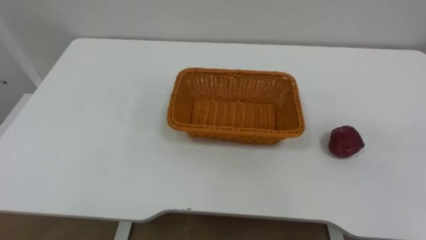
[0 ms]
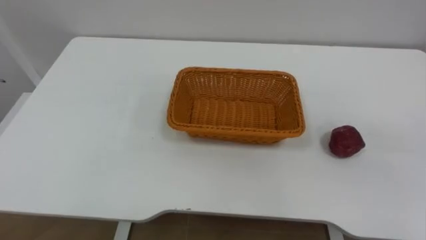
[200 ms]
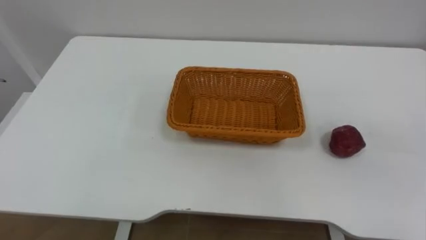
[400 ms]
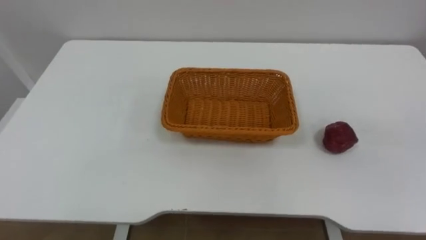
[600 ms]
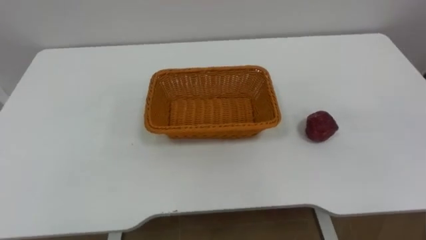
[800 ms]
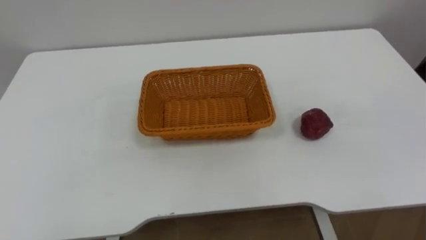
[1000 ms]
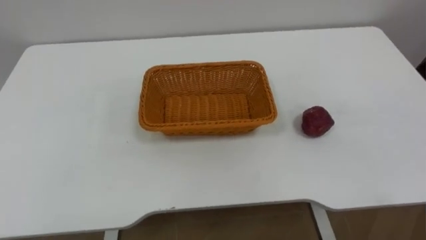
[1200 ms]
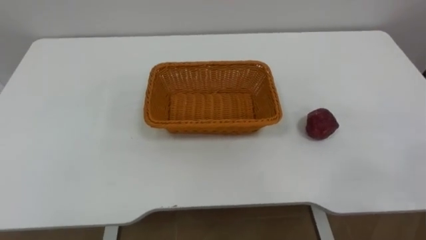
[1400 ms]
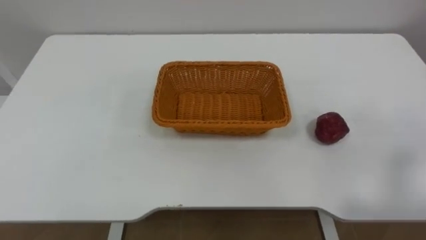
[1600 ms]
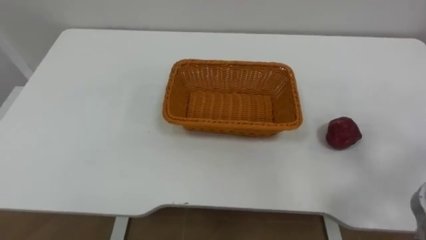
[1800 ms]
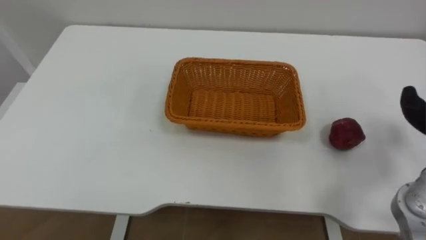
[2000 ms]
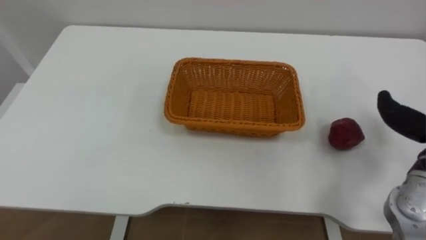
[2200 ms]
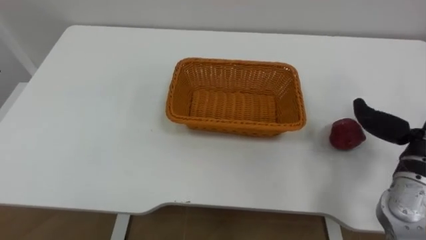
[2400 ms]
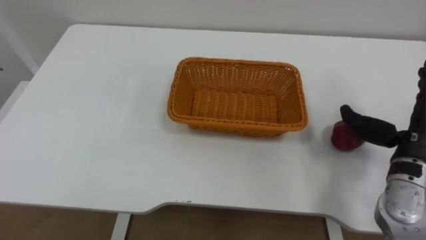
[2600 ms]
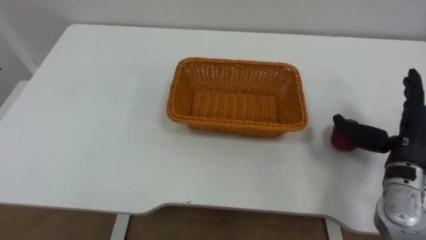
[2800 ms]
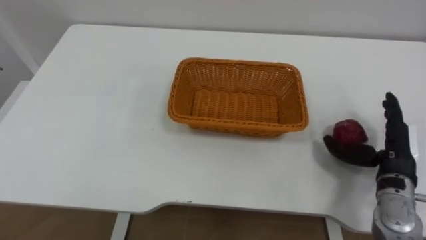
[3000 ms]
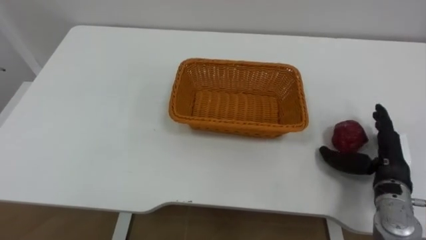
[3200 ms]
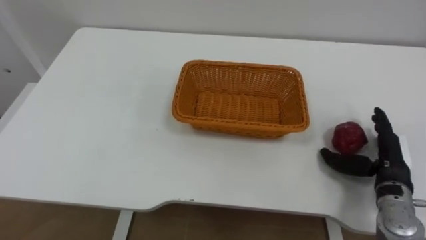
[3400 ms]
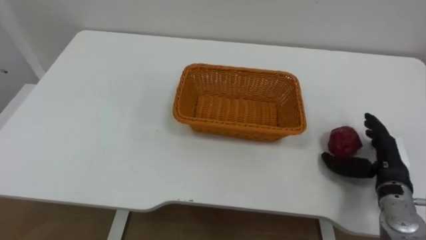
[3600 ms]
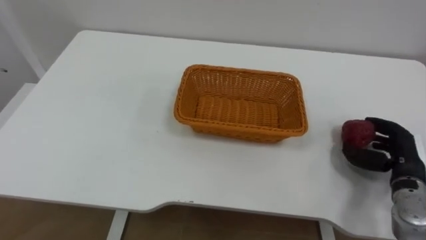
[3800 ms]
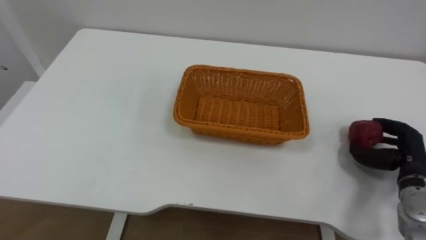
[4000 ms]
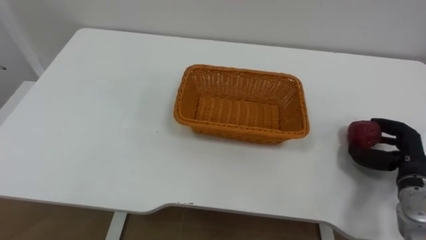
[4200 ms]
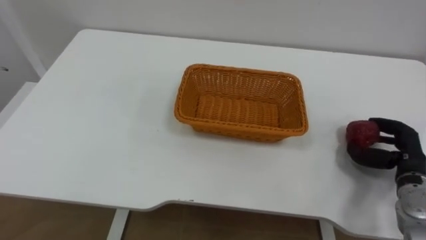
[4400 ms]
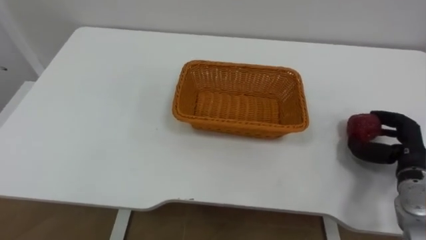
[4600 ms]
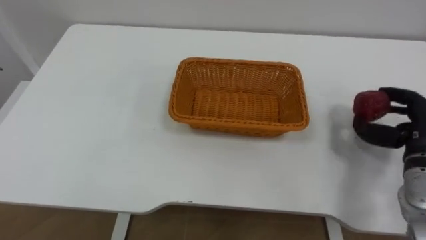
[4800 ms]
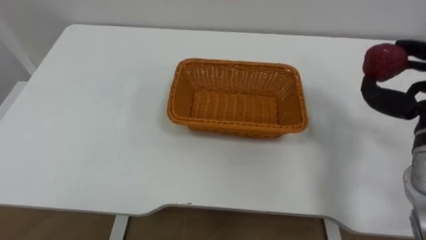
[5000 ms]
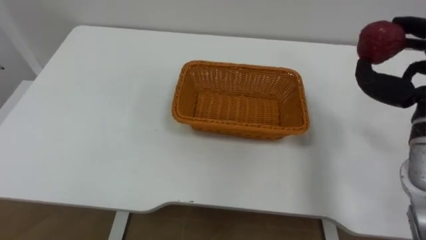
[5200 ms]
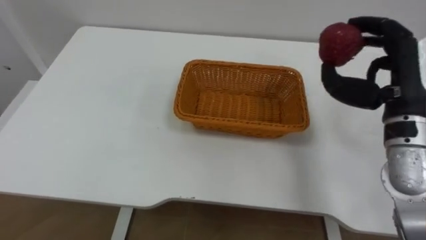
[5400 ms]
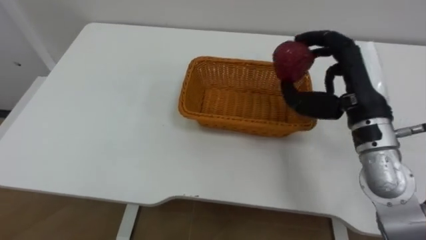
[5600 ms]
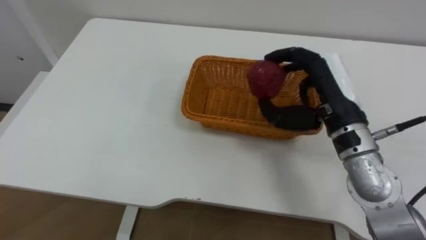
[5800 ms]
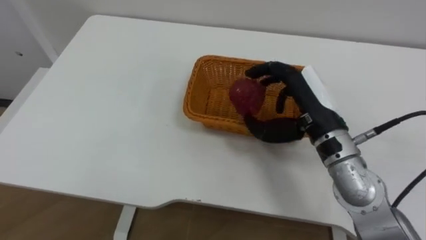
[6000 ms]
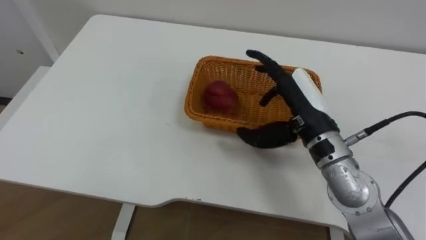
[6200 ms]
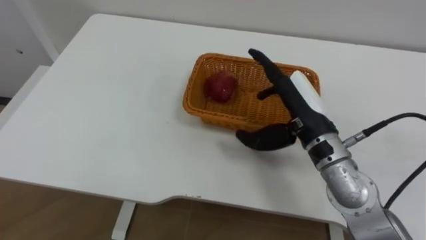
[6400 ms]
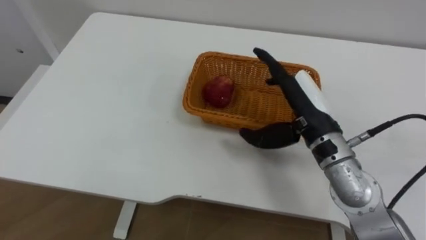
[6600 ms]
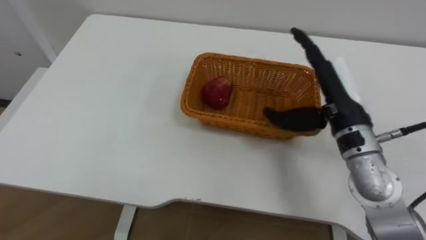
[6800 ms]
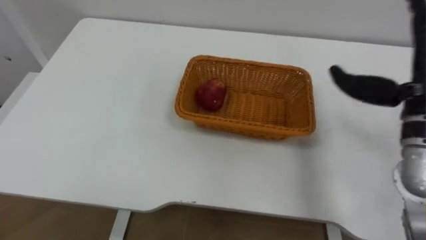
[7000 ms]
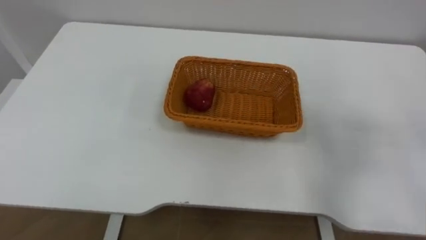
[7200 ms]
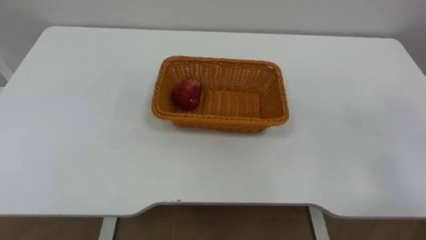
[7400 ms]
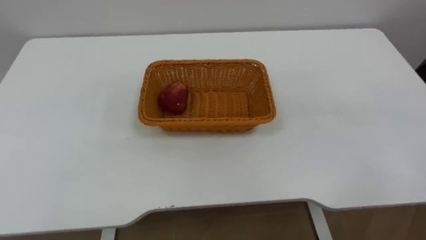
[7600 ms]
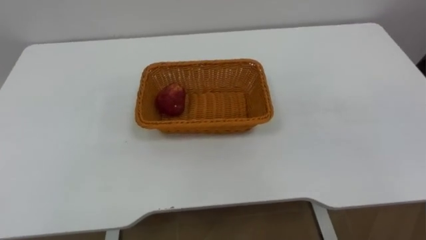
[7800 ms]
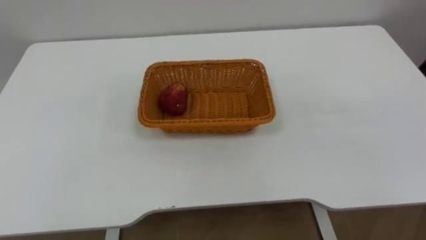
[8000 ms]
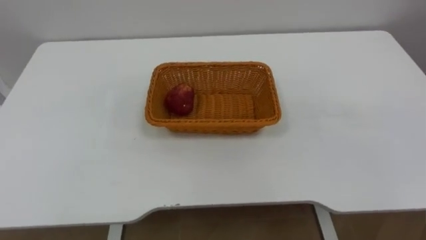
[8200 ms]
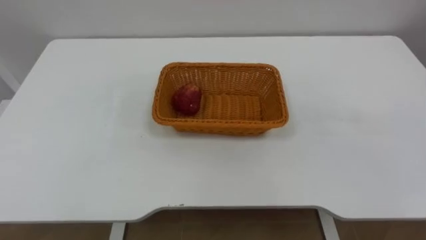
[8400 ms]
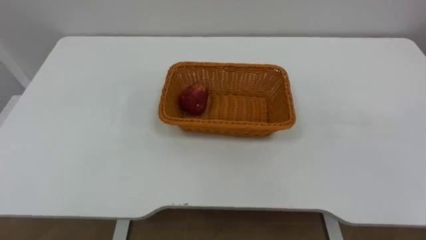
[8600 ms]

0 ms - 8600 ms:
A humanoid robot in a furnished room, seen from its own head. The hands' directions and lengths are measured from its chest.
Task of the whole recording: Pick the apple and place it in the box.
2800 ms - 4400 ms: The right hand moves downward, roughly 10 cm, and closes up.

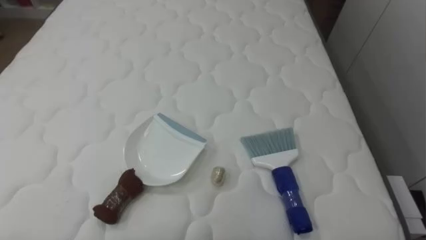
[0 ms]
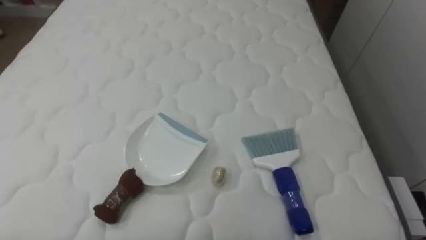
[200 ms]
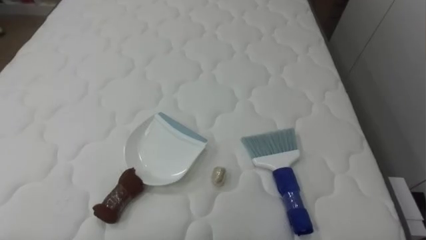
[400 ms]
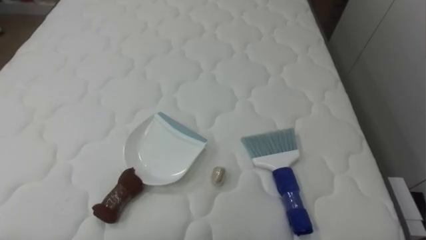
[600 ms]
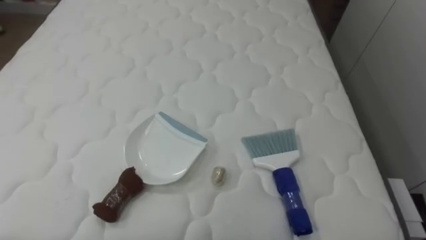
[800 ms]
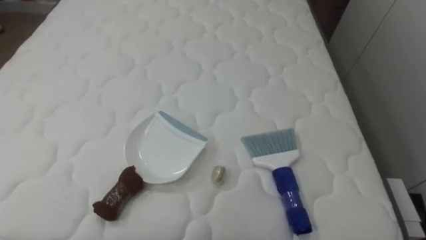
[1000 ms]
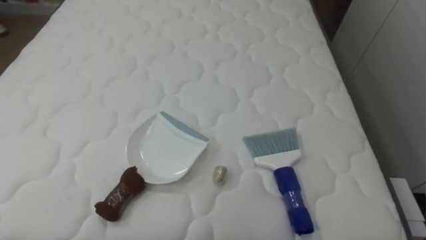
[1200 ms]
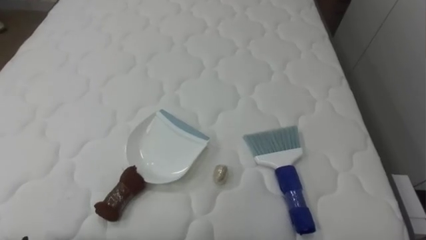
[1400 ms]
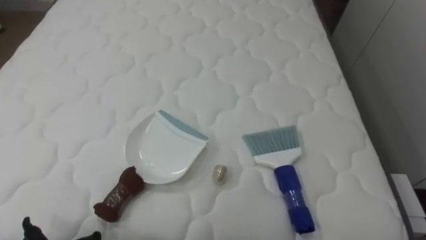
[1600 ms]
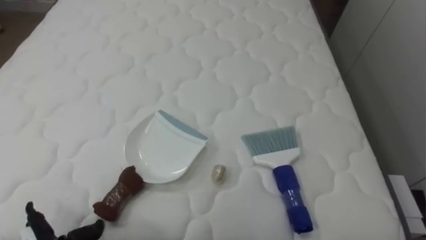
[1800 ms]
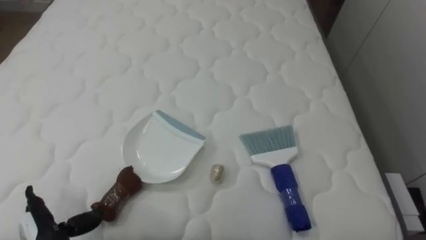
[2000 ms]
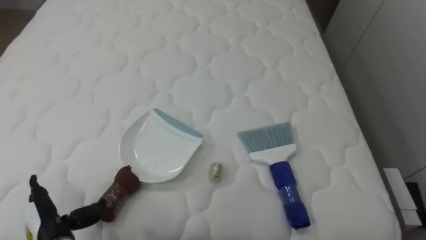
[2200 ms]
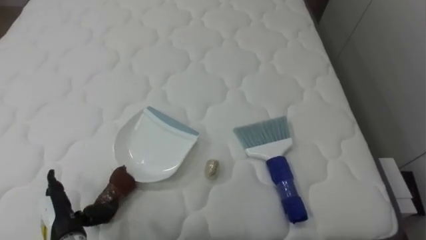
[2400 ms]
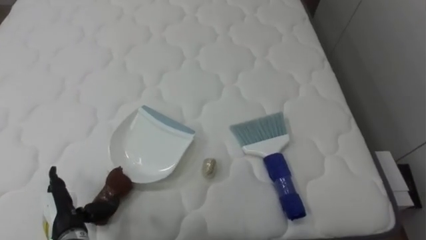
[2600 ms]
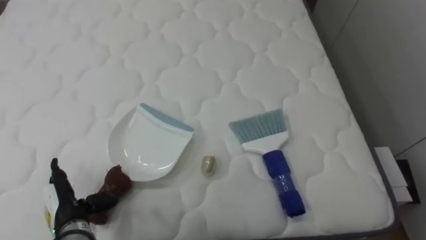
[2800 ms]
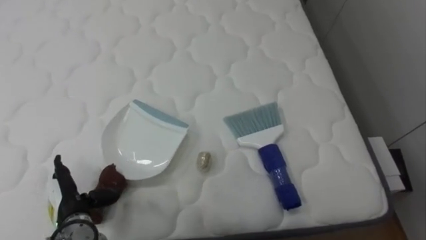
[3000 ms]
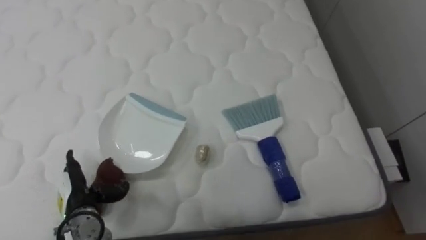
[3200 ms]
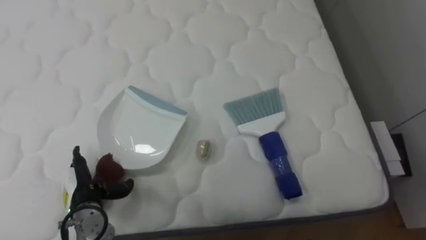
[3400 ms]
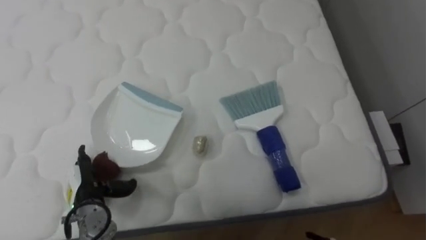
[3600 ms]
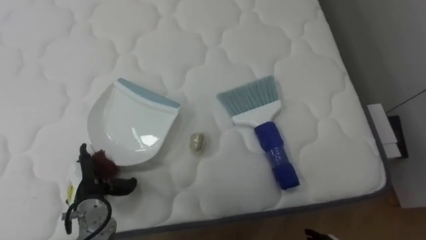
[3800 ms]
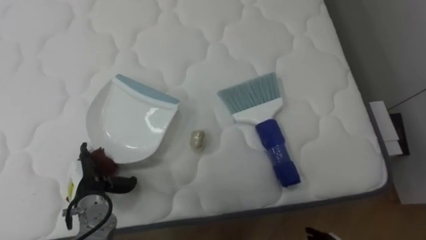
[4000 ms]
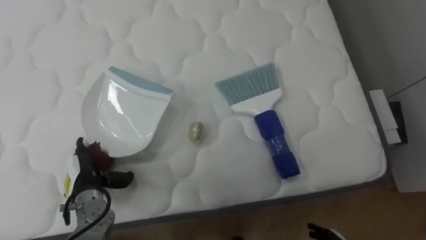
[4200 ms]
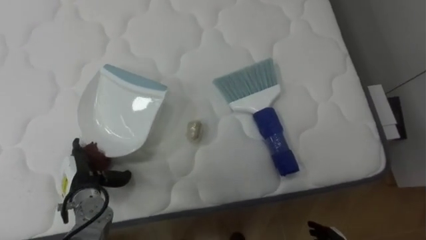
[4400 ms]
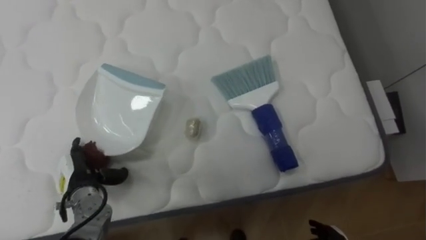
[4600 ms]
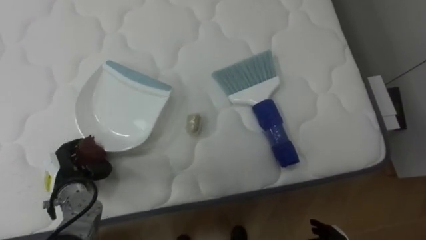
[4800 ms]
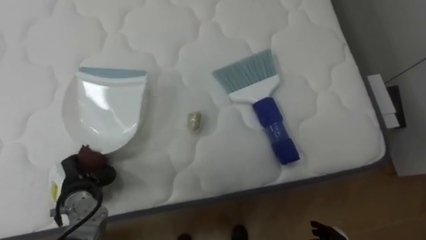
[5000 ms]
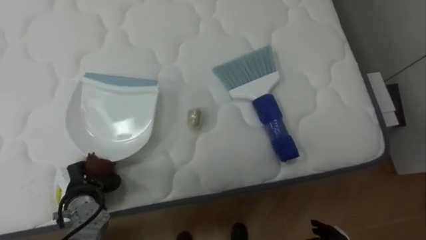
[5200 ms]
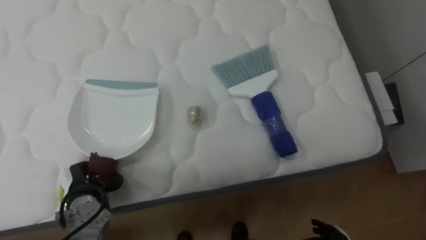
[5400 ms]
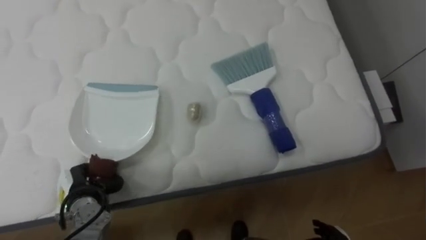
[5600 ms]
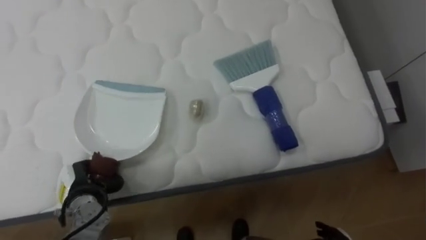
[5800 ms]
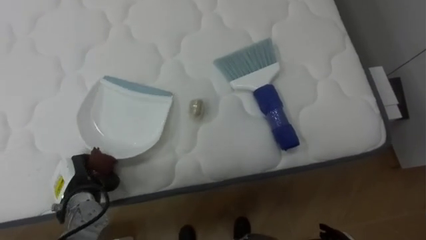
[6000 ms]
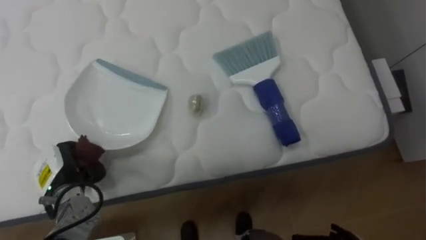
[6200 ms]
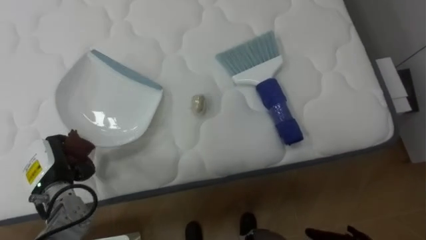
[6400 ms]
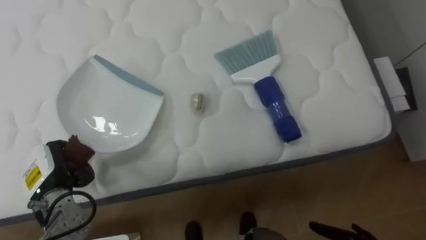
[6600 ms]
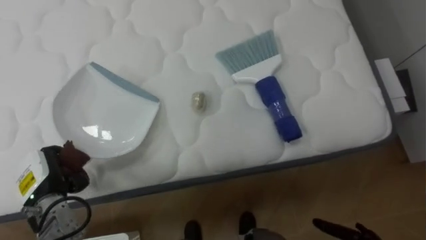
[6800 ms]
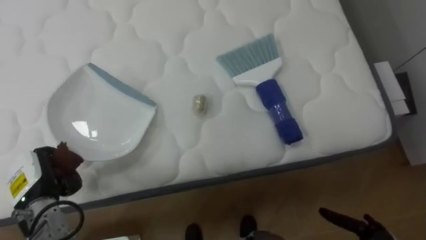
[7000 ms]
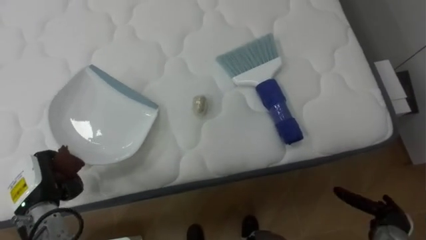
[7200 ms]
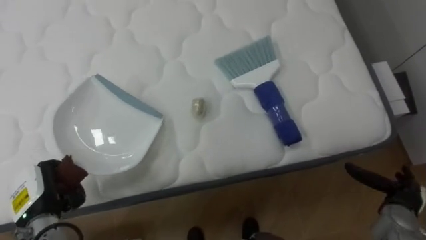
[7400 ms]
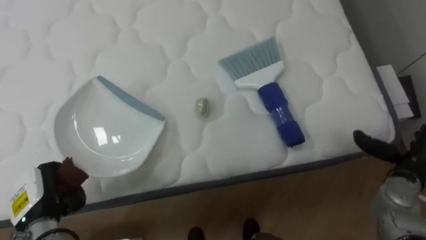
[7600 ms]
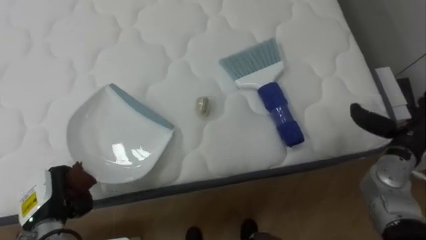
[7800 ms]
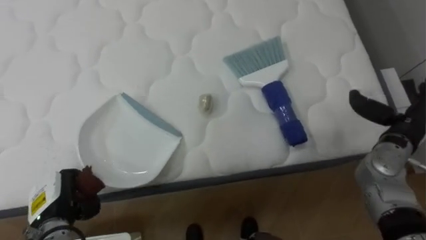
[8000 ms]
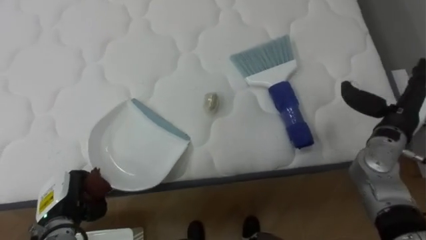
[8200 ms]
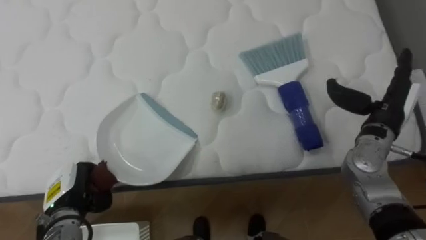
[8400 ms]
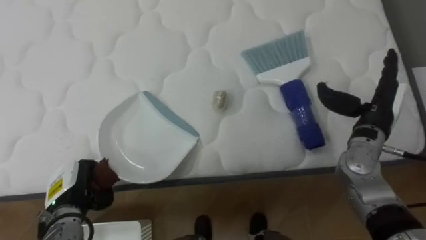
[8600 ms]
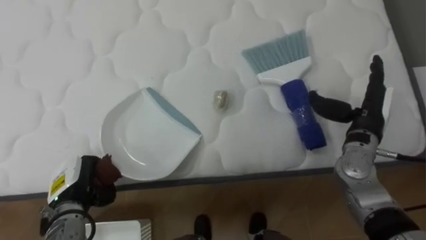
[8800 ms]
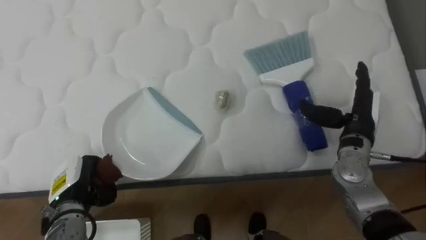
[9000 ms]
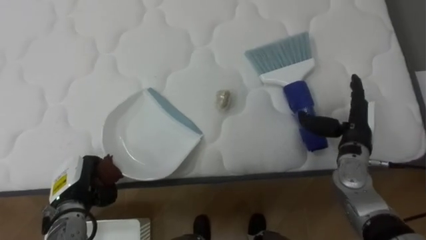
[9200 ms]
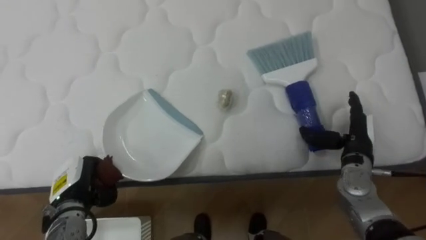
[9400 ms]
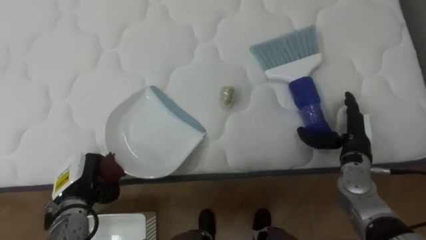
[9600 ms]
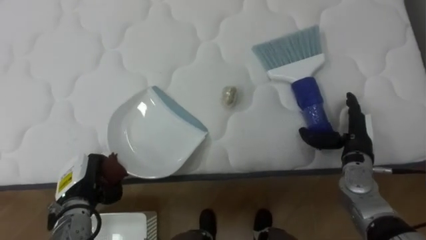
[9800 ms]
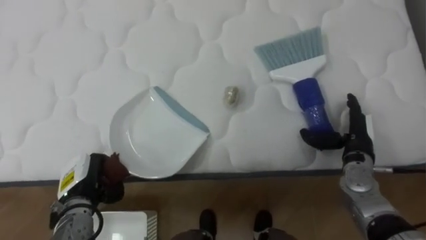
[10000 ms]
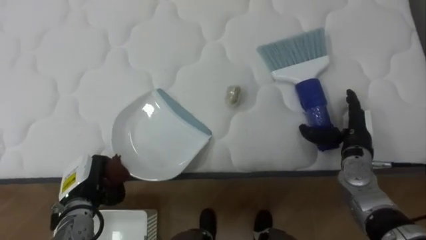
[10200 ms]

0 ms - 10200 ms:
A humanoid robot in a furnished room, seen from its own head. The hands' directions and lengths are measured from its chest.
Task of the whole recording: Pick up the brush on your right and the dustpan on your left. Use the brush to sweep the crumpled paper on the bed into the dustpan, then turn left and empty it into the basket.
3000 ms - 4400 ms: The left hand changes place by approximately 5 cm.
4400 ms - 5800 ms: The left hand closes.
5800 ms - 7200 ms: The left hand heads to the left and upward, covering approximately 10 cm.
7200 ms - 8800 ms: The right hand travels upward and forward by approximately 25 cm. Meanwhile the left hand goes some 5 cm to the right.
8800 ms - 10200 ms: The right hand is displaced downward by roughly 5 cm.
